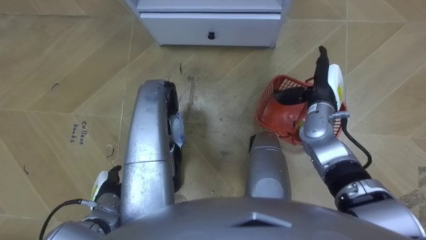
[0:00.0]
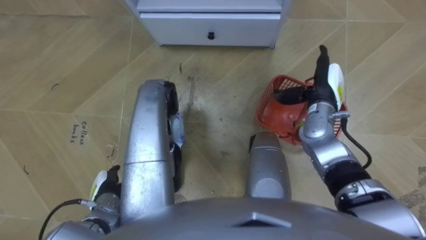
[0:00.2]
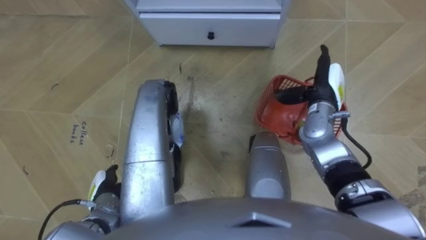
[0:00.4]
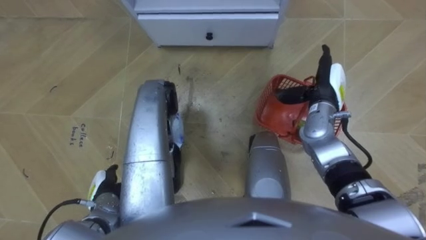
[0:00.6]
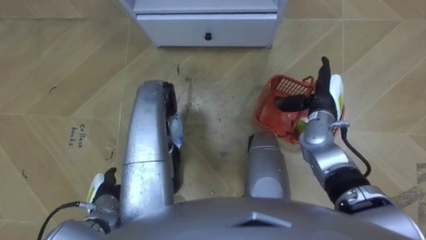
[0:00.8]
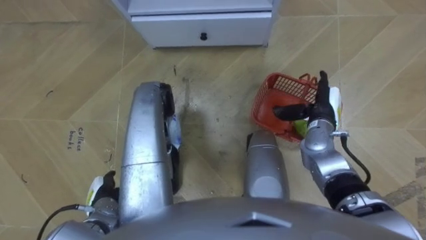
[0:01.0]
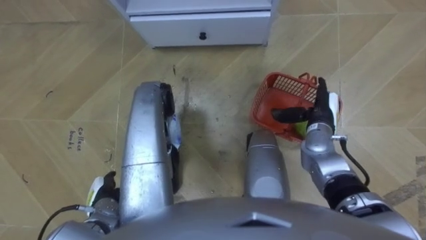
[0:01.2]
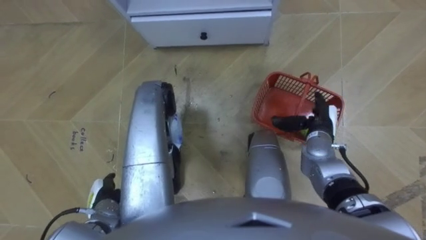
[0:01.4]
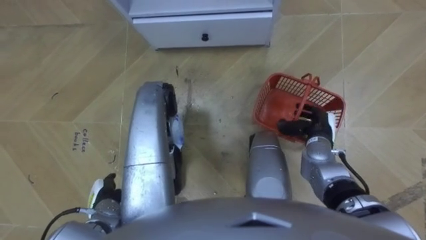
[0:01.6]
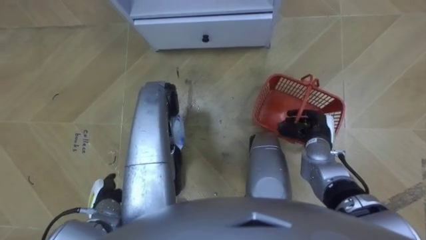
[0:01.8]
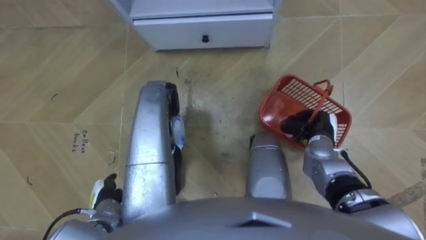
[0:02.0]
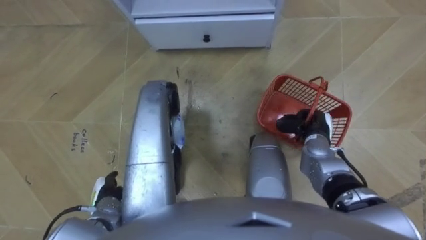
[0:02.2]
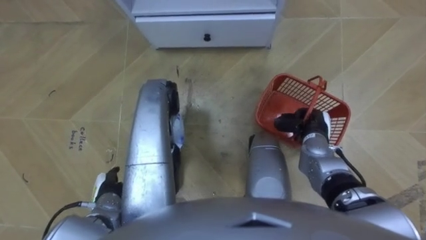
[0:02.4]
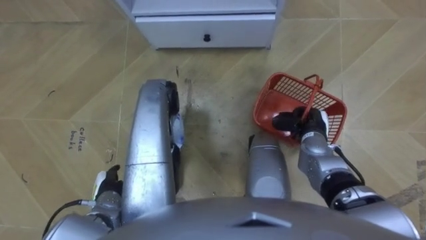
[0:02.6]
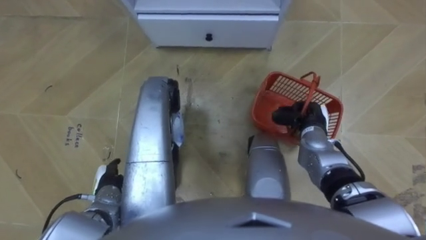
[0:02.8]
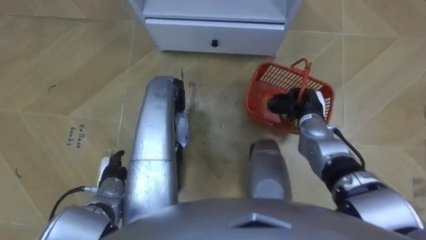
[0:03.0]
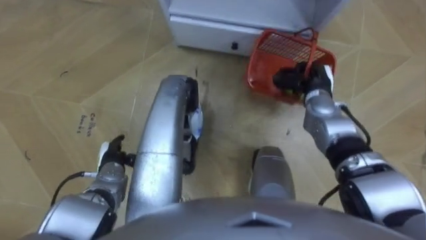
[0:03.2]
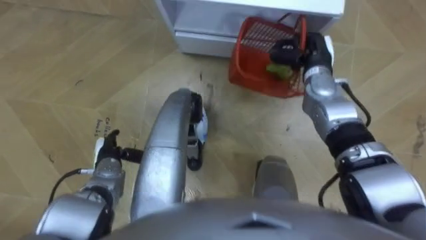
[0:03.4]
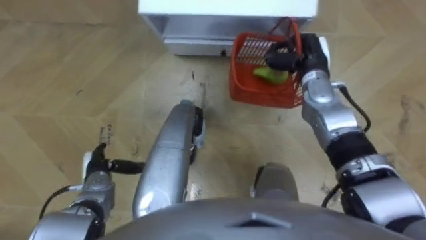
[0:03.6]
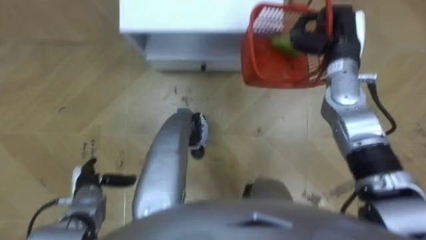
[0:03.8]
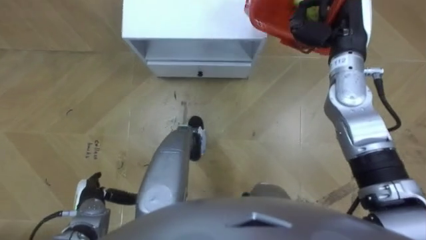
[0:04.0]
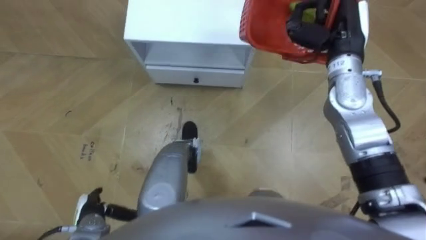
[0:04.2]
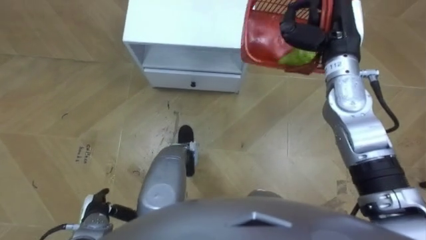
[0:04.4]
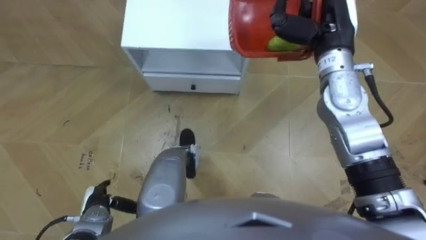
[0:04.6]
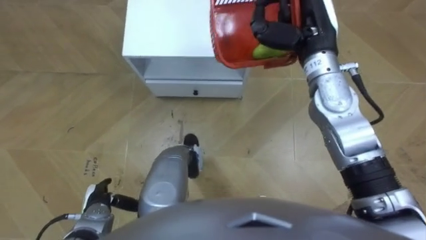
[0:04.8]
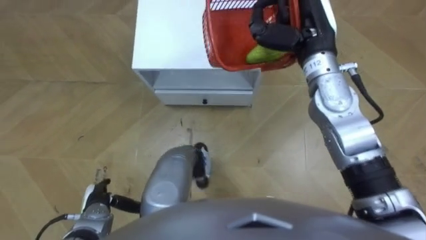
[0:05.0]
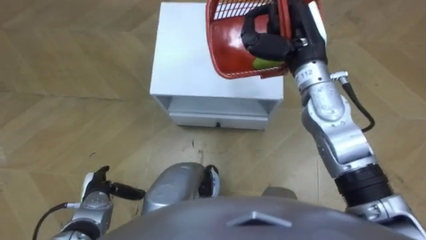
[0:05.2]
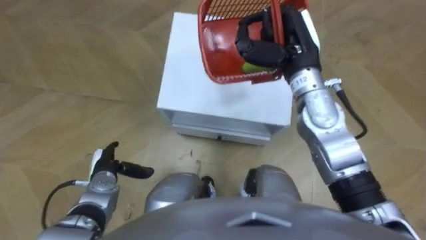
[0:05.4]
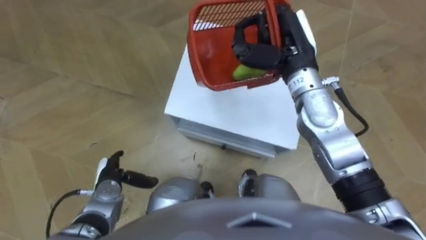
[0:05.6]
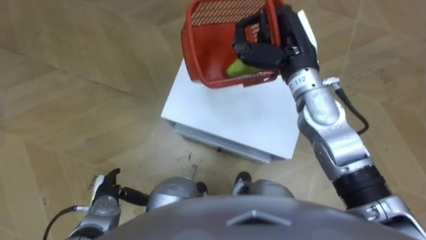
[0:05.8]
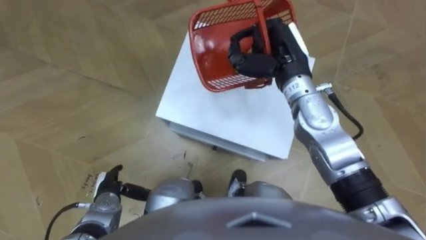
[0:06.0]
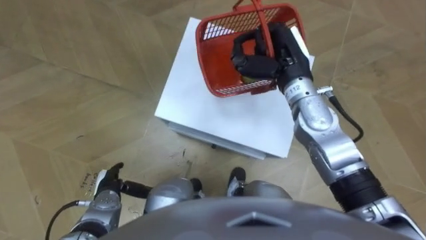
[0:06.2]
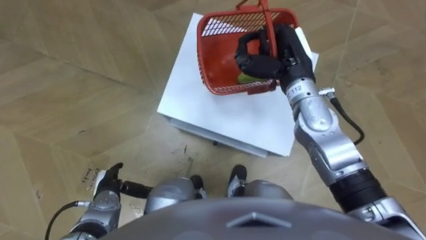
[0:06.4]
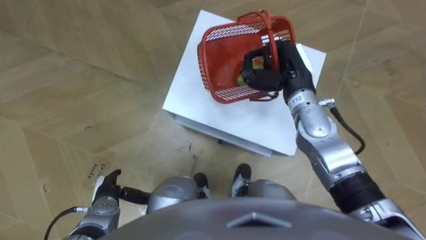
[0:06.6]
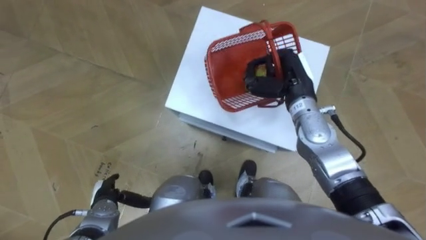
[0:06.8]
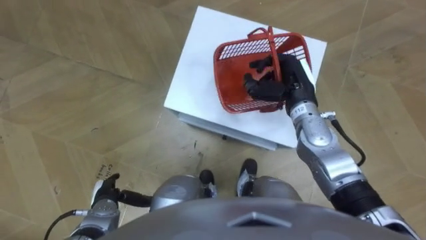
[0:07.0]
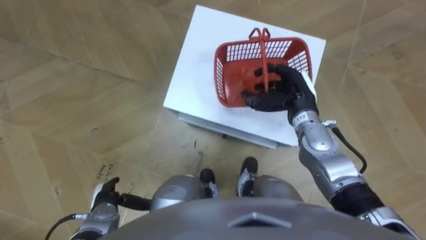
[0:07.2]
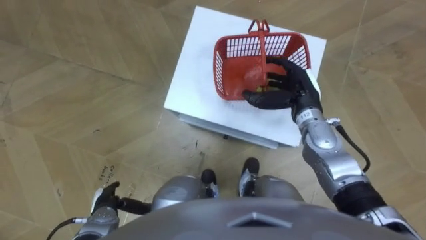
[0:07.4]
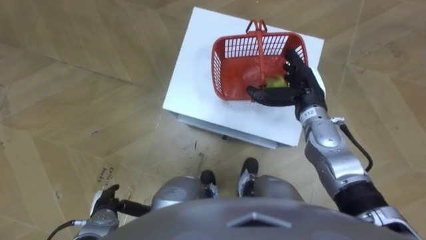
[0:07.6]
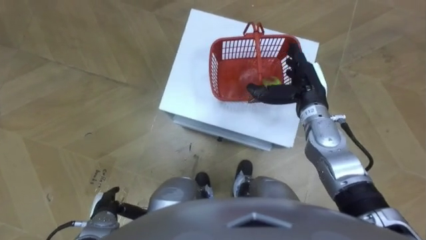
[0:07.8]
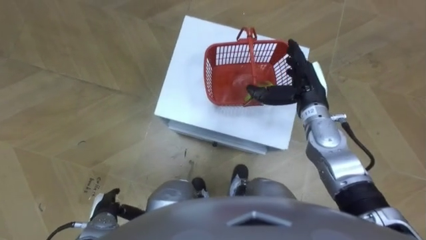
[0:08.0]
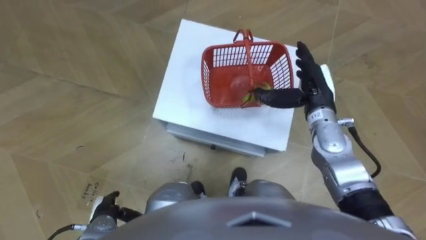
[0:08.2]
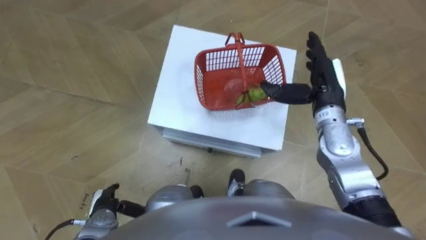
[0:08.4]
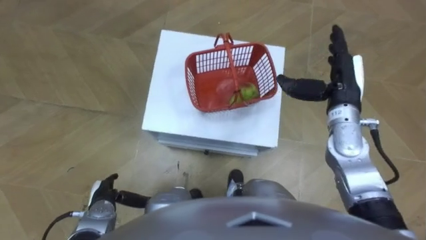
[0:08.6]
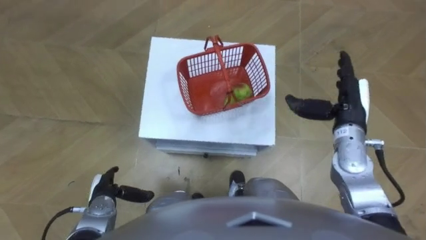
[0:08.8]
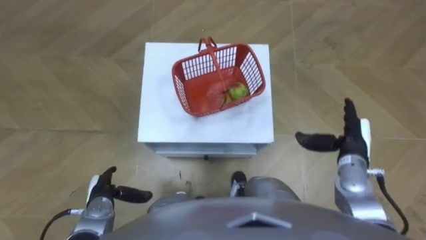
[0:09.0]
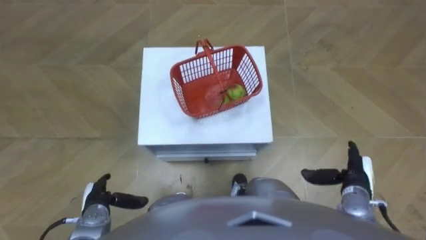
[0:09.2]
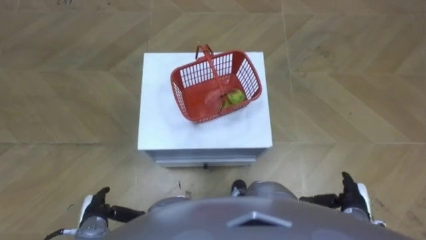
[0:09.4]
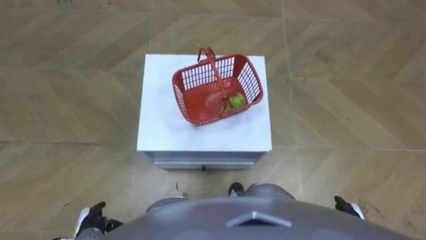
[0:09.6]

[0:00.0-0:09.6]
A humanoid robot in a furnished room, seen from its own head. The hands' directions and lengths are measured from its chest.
Task of the whole recording: Pick up the fruit basket from the floor and place it on the cabinet.
0:00.0 to 0:01.6: The right hand is displaced backward and downward by some 10 cm, and closes.
0:01.6 to 0:03.2: The left hand shifts some 10 cm forward, while the right hand travels forward and upward by about 10 cm, and closes its fingers.
0:03.2 to 0:04.8: The right hand shifts about 15 cm upward. Meanwhile the left hand moves backward, roughly 10 cm.
0:04.8 to 0:06.4: The robot rotates some 15 degrees to its left. The right hand is displaced downward by some 5 cm.
0:06.4 to 0:08.0: The left hand goes roughly 5 cm backward. Meanwhile the right hand is displaced downward by roughly 5 cm, and opens its fingers.
0:08.0 to 0:09.6: The right hand goes some 30 cm backward, downward and to the right.

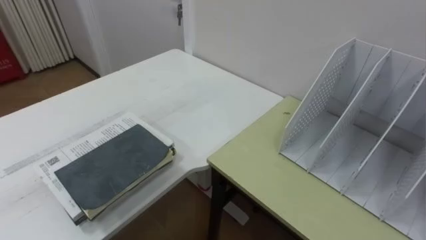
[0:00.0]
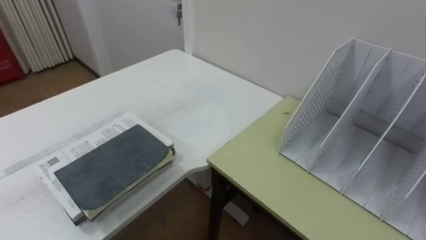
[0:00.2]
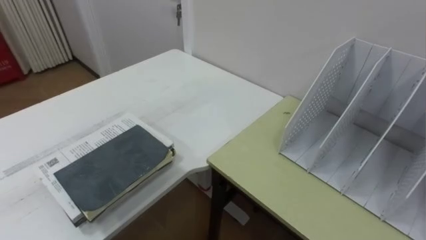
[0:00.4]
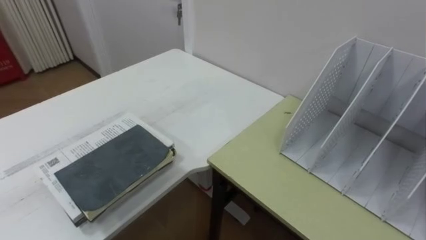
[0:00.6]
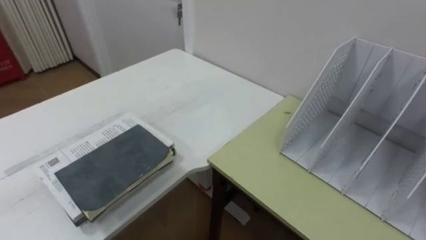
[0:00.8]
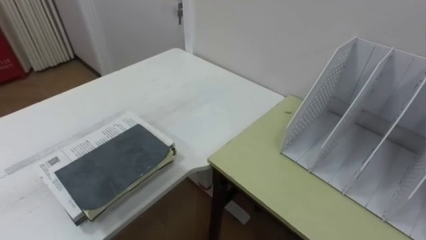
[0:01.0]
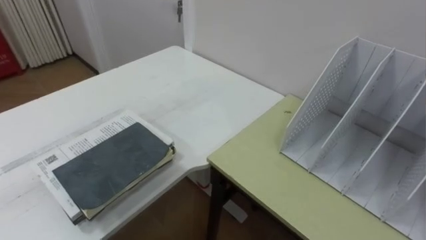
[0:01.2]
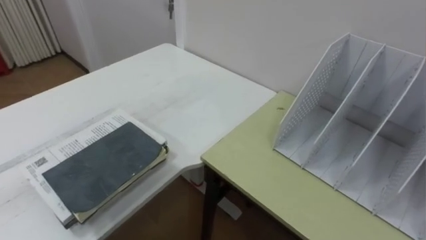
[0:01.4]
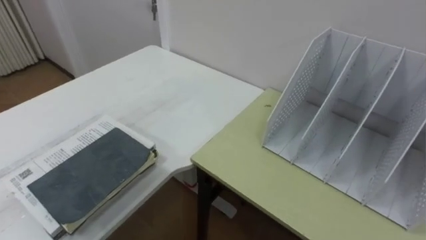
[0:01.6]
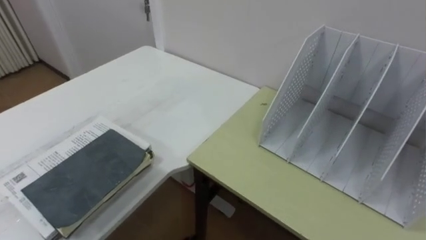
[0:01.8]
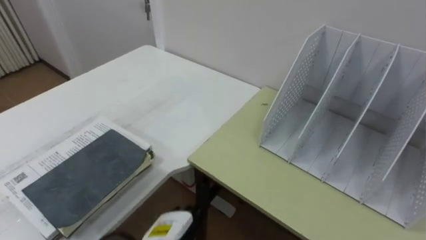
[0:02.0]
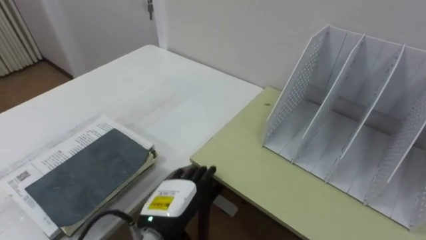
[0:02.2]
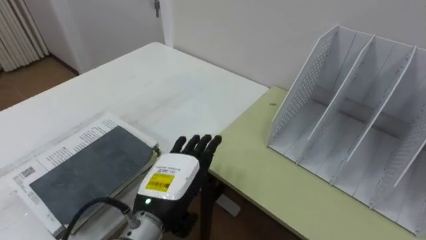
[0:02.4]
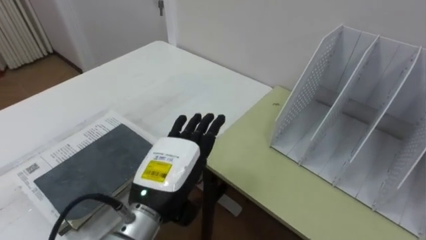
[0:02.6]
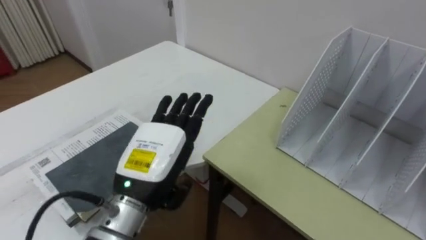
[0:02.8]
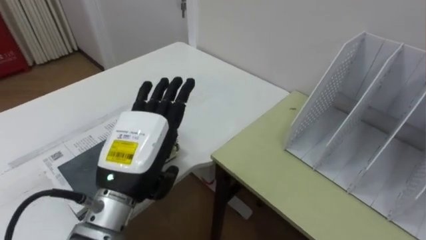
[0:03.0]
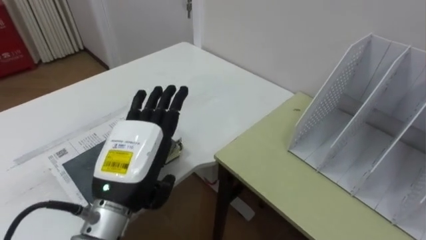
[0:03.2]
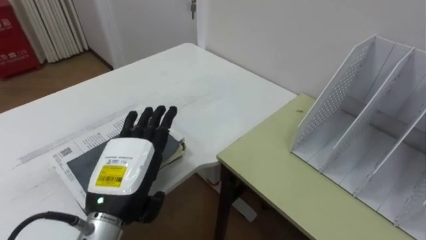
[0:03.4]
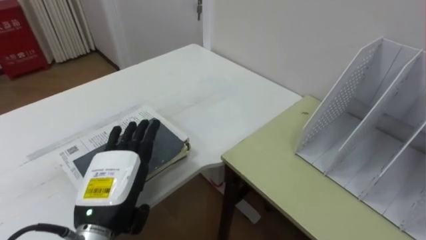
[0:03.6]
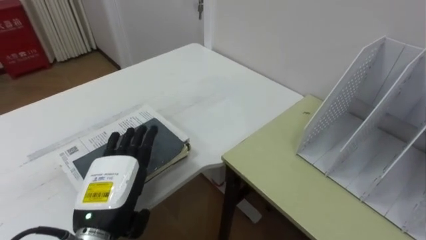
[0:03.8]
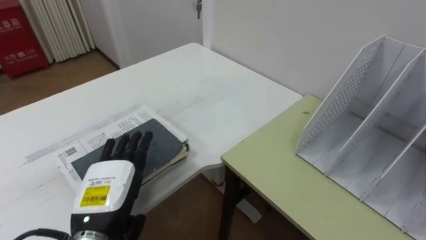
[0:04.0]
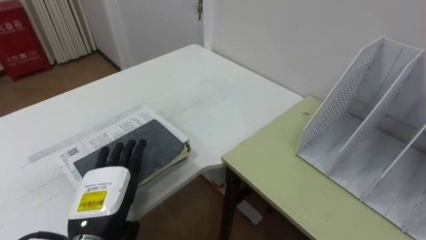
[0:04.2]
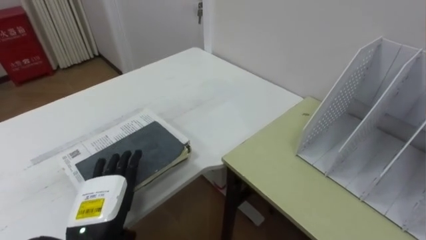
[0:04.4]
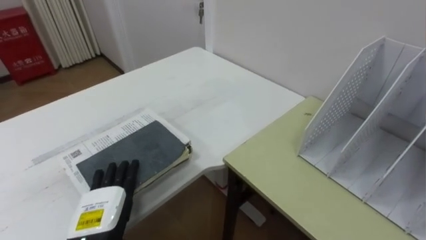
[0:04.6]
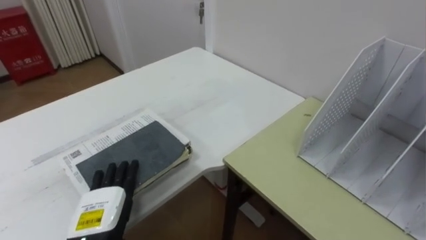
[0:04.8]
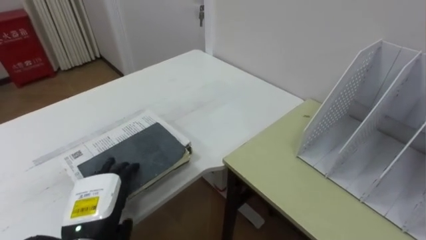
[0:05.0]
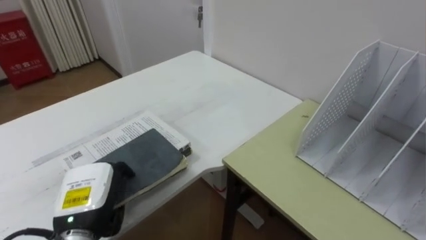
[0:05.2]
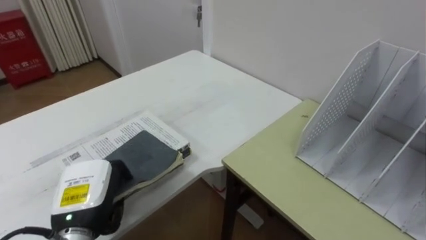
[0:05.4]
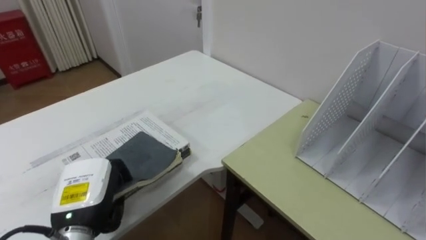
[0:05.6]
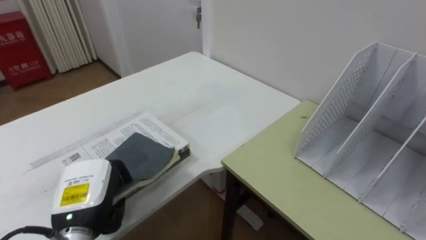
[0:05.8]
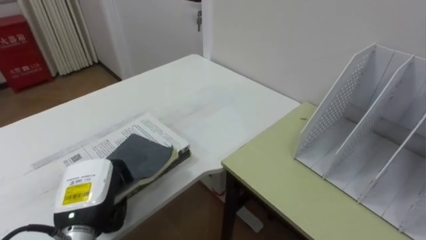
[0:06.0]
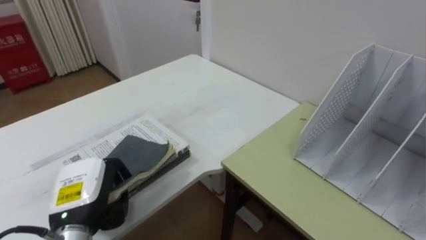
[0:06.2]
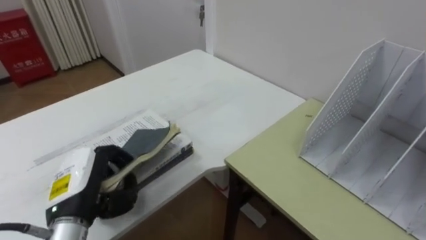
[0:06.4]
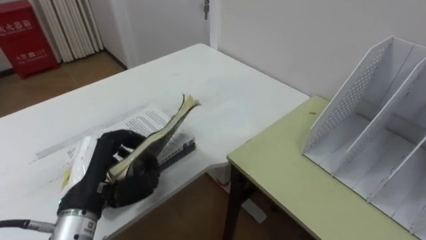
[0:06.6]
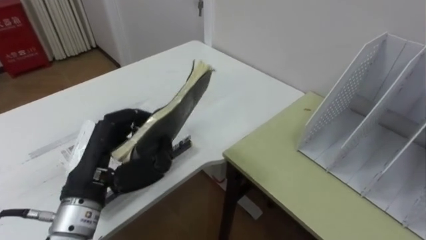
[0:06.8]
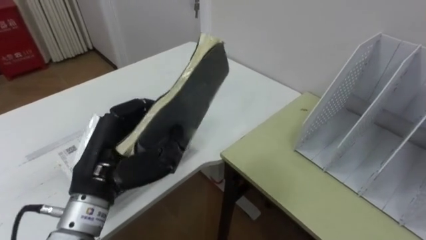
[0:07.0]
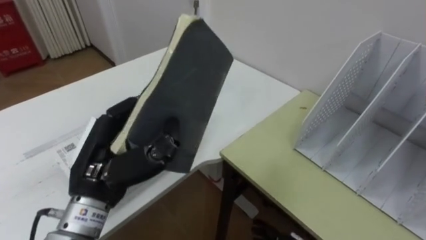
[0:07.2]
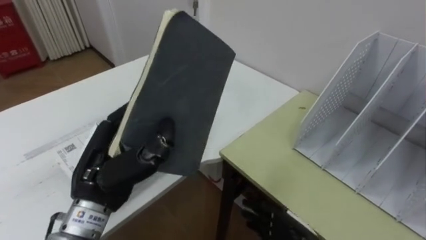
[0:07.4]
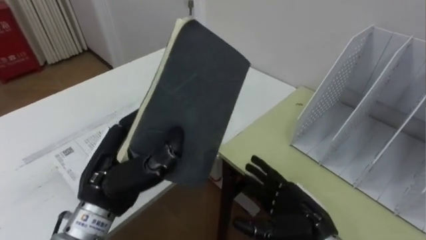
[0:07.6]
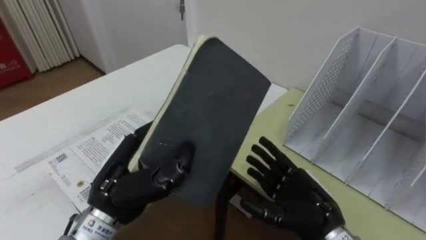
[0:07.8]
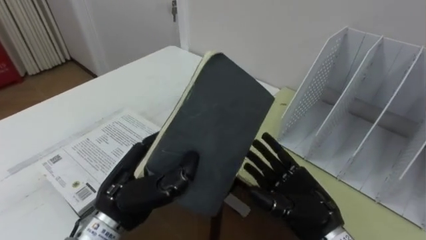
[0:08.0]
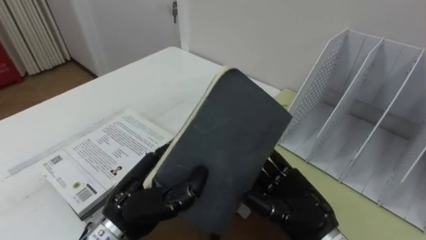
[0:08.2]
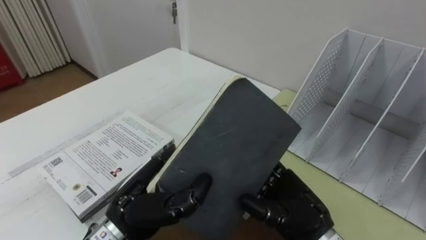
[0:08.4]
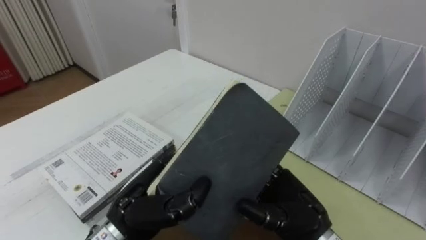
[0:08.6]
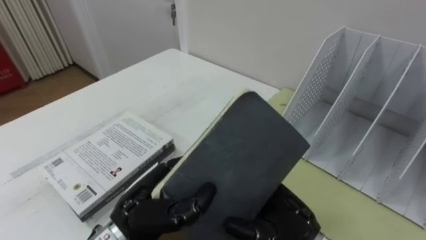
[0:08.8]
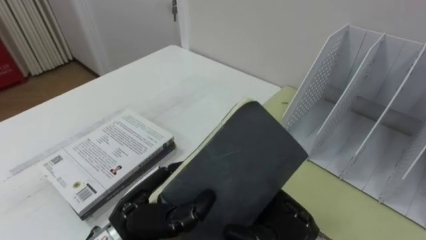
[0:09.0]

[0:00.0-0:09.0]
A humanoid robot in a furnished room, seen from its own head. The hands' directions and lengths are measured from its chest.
Task of the whole recording: Put the books on the table onto the bookshelf.
0:03.0 to 0:04.4: The left hand moves downward and to the left, roughly 15 cm.
0:04.4 to 0:06.0: The left hand closes.
0:06.0 to 0:07.6: The left hand is displaced upward and to the right by some 10 cm.
0:07.6 to 0:09.0: The right hand travels upward and to the left by some 5 cm; the left hand is displaced downward by about 5 cm.
